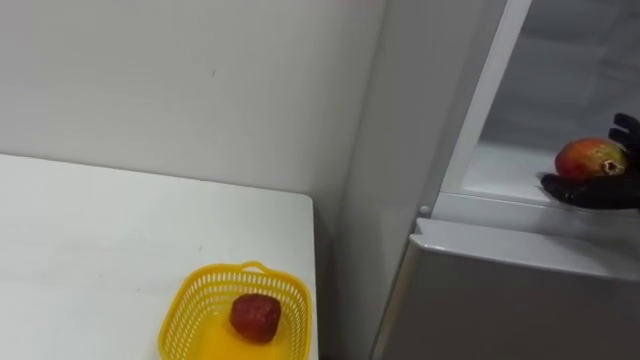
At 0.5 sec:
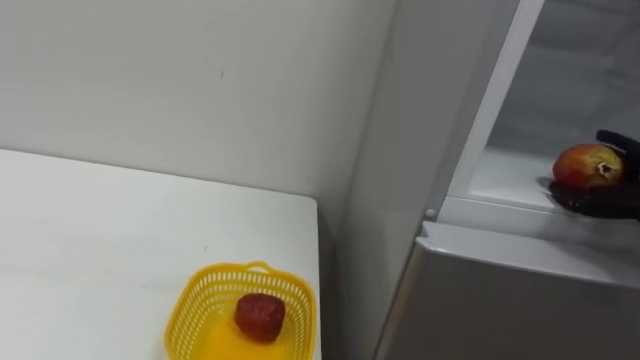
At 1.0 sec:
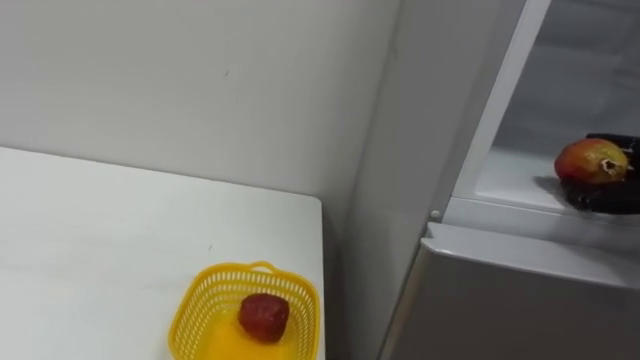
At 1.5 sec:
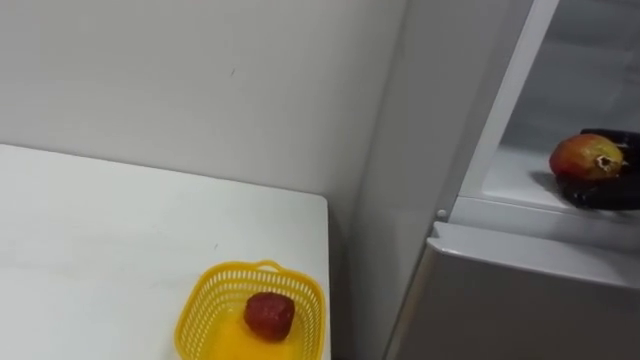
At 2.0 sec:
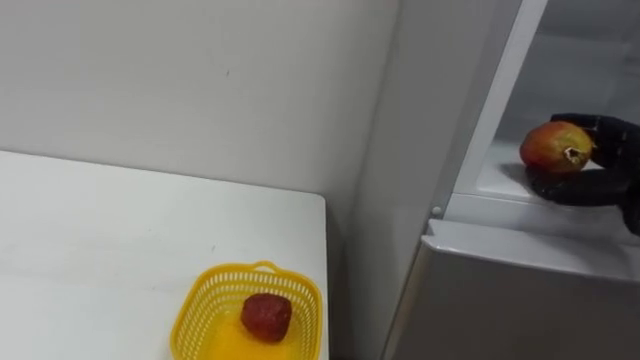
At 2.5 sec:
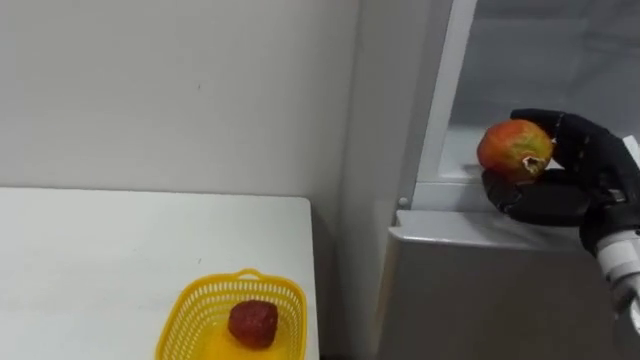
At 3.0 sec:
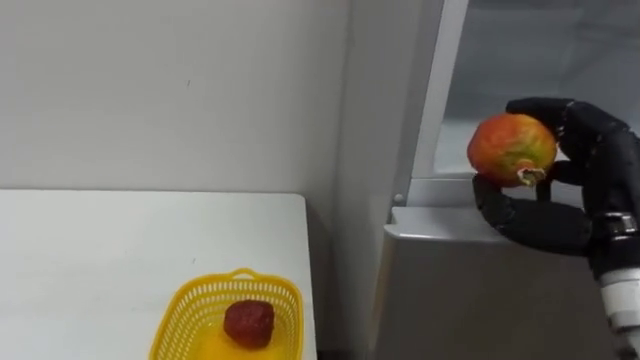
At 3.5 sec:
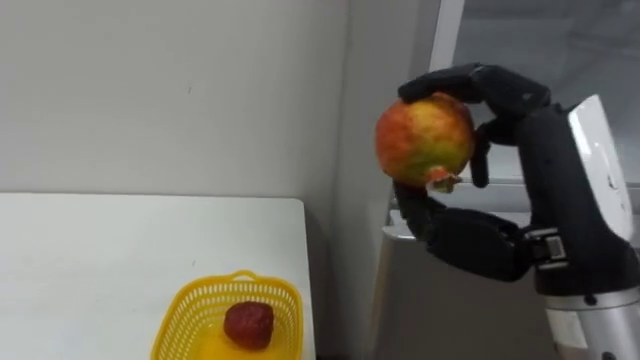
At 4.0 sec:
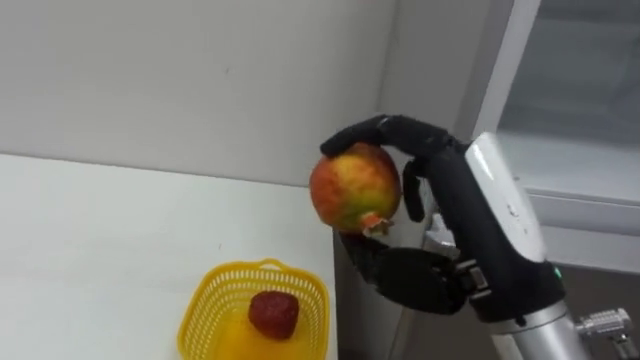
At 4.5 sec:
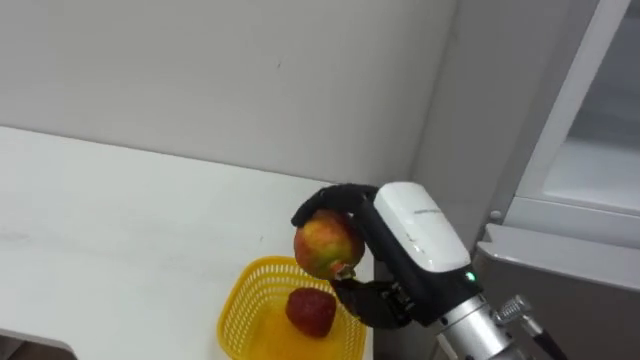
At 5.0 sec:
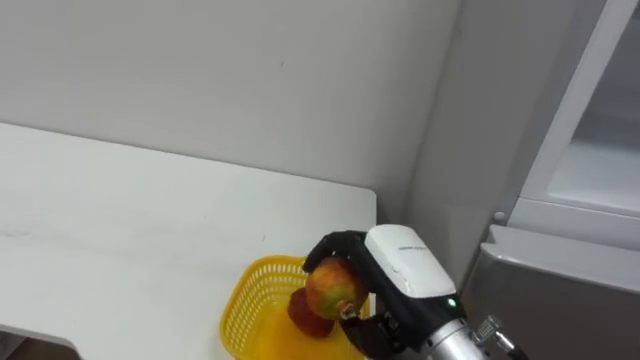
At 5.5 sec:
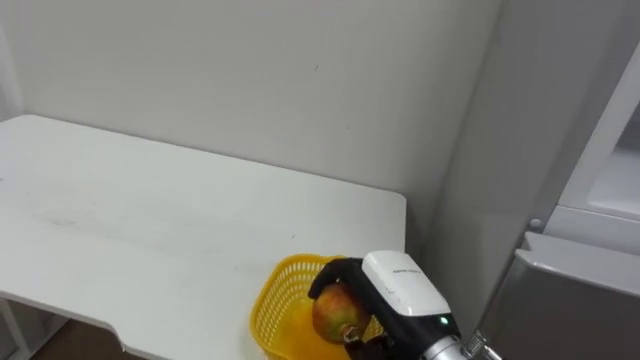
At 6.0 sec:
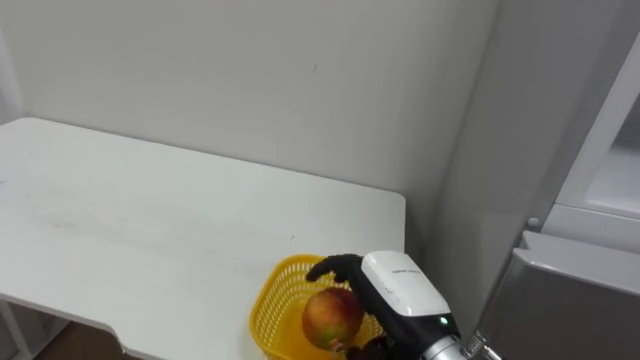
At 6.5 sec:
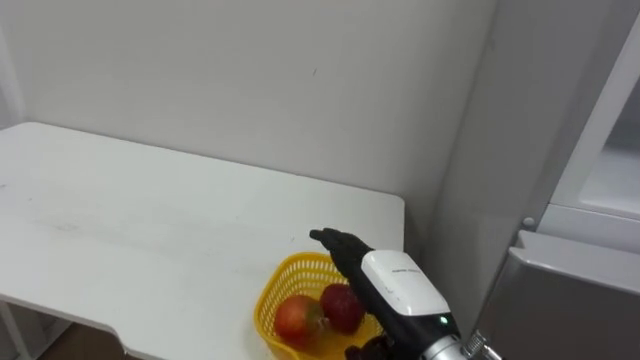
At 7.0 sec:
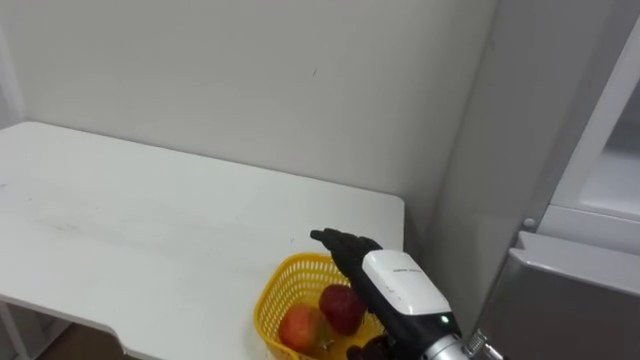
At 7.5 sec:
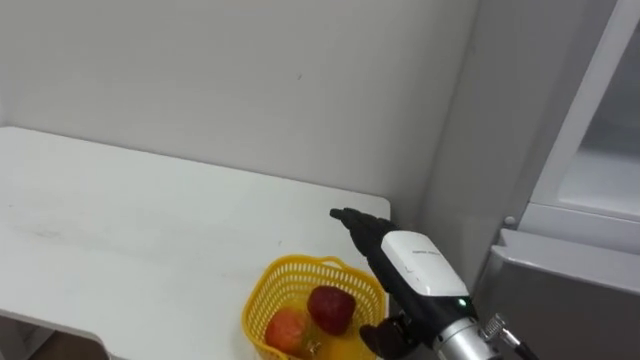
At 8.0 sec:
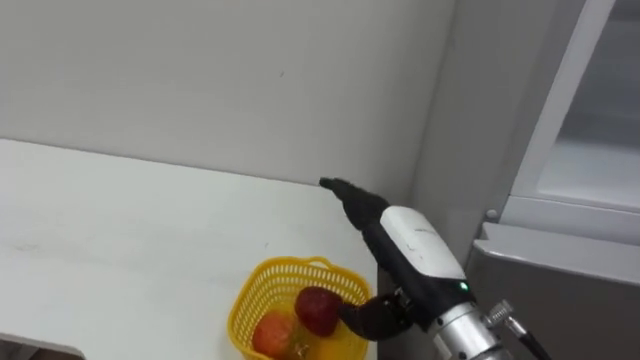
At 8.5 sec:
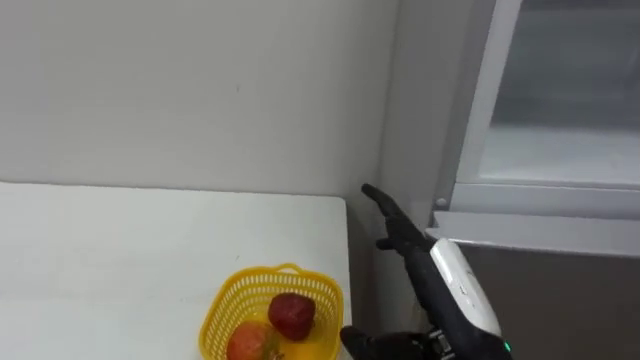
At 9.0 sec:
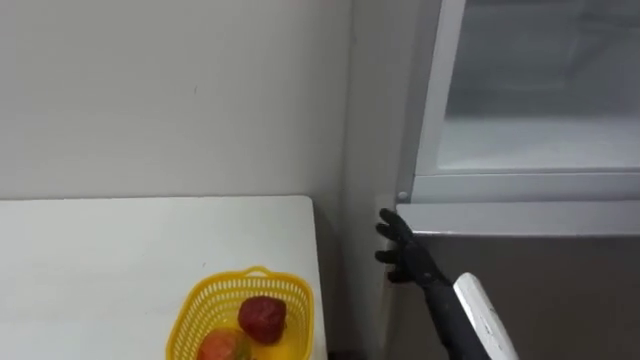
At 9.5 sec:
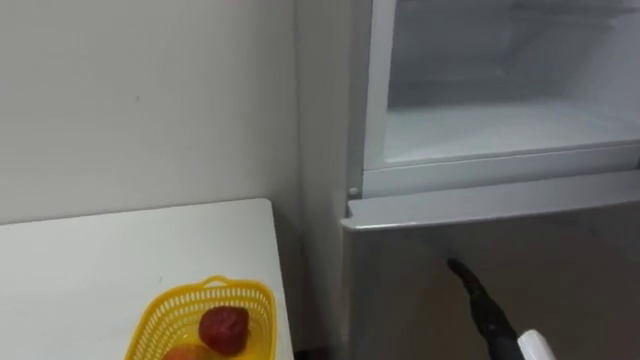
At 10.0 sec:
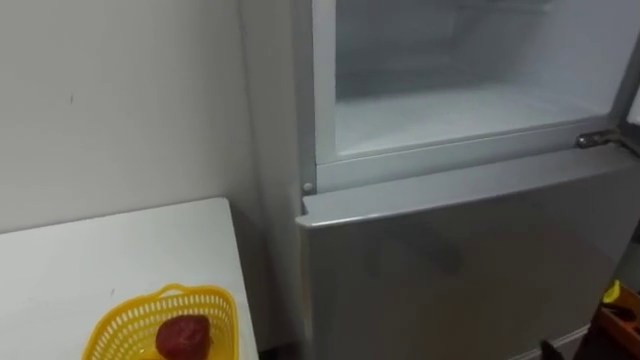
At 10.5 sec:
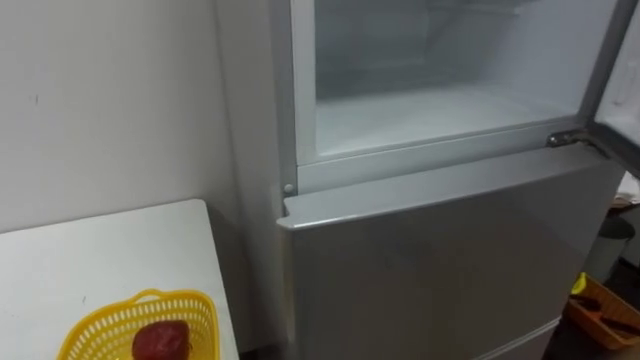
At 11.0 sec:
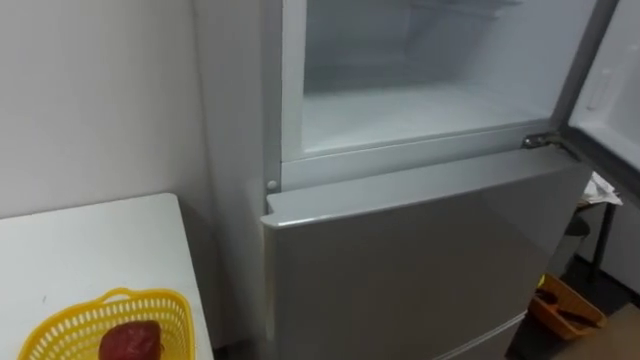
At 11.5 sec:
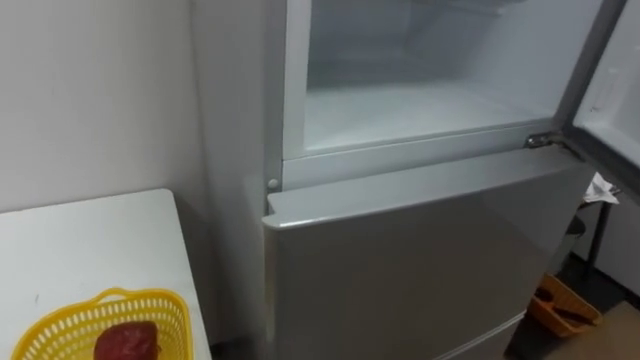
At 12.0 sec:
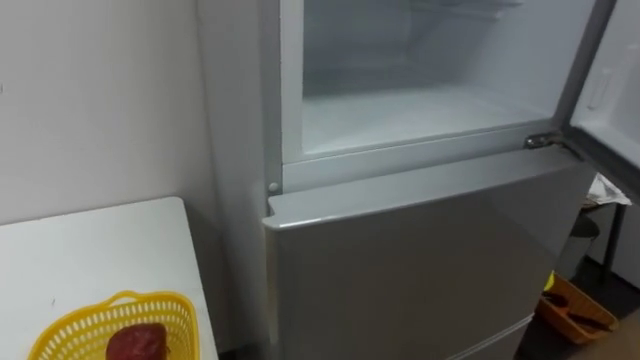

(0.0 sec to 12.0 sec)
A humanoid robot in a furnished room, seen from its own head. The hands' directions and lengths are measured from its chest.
Task of the whole recording: Open the refrigerator door, take out the apple and the pomegranate, place them in the fruit basket on the left, and close the refrigerator door.
2.0 sec - 4.0 sec: The right hand is displaced to the left and backward by about 25 cm.
4.0 sec - 6.0 sec: The right hand heads downward and forward, covering some 15 cm.
6.0 sec - 8.0 sec: The right hand opens up.

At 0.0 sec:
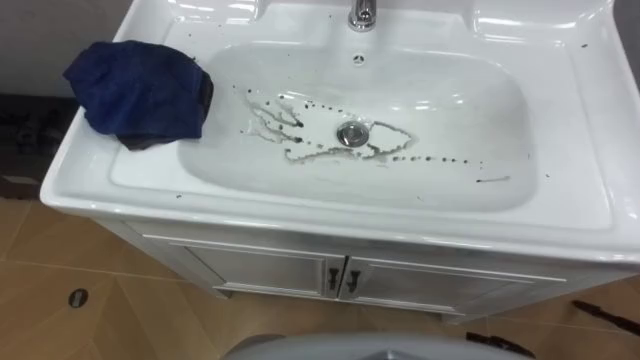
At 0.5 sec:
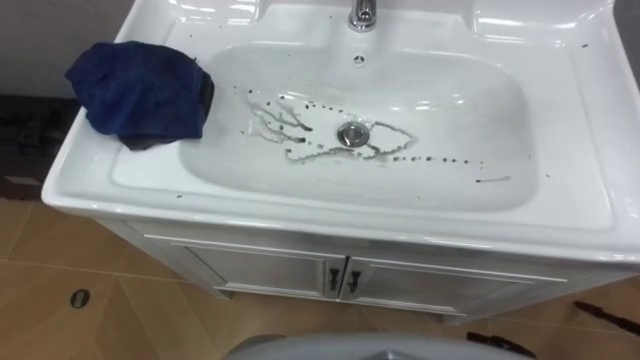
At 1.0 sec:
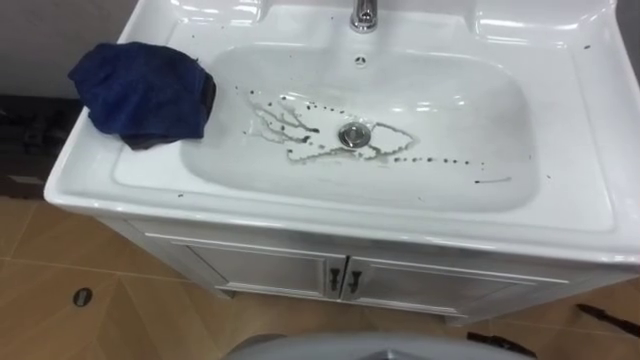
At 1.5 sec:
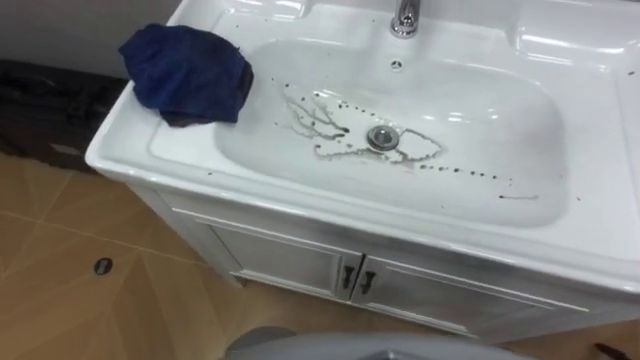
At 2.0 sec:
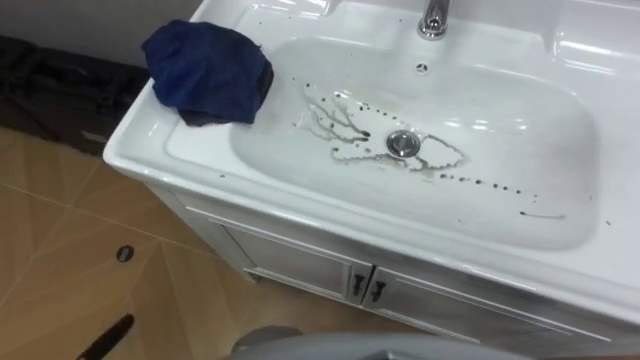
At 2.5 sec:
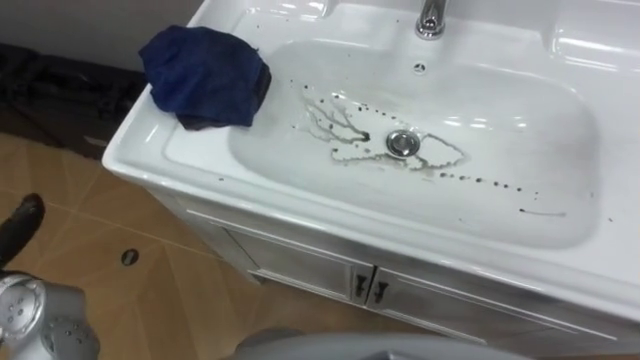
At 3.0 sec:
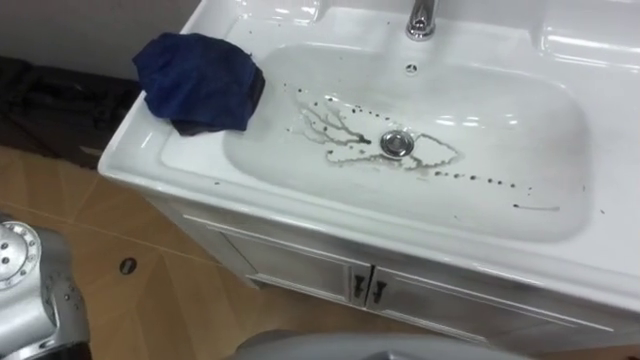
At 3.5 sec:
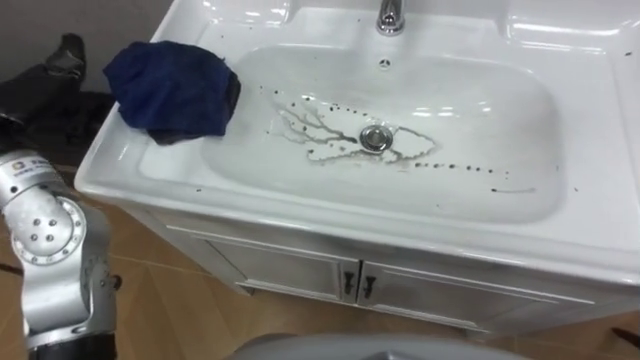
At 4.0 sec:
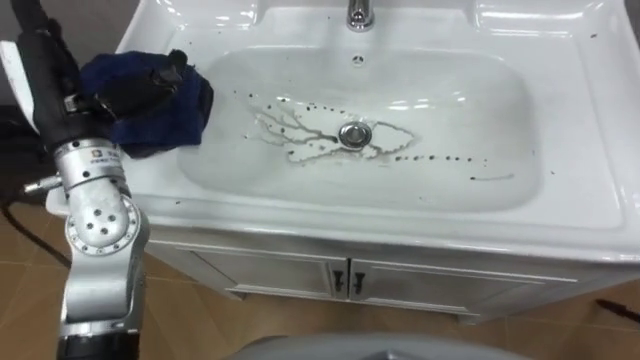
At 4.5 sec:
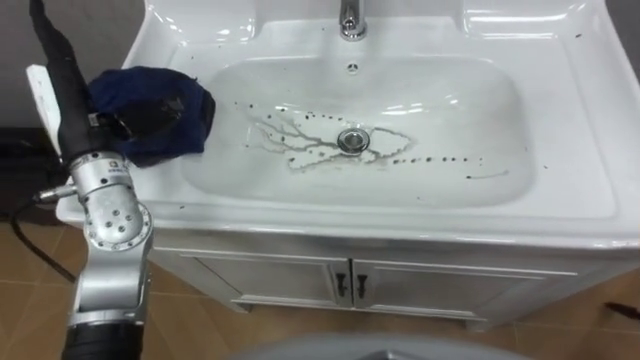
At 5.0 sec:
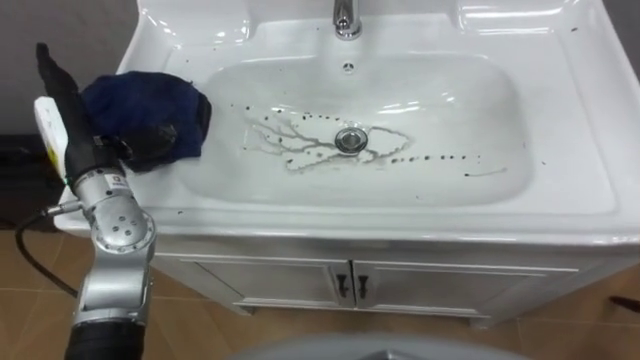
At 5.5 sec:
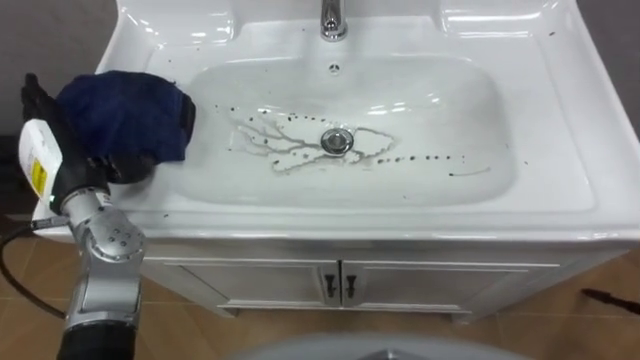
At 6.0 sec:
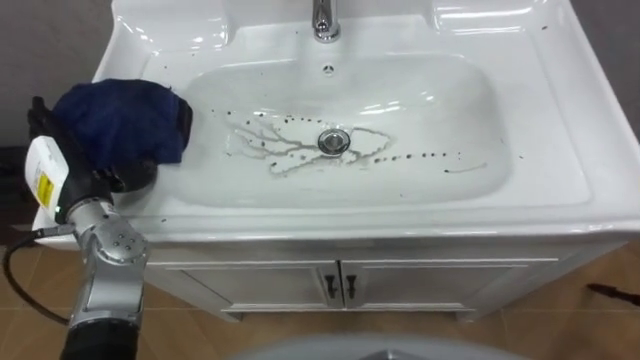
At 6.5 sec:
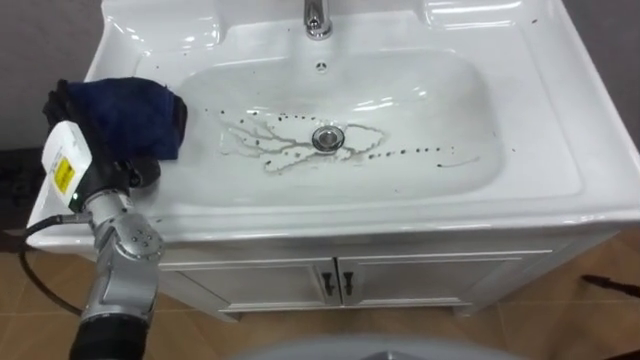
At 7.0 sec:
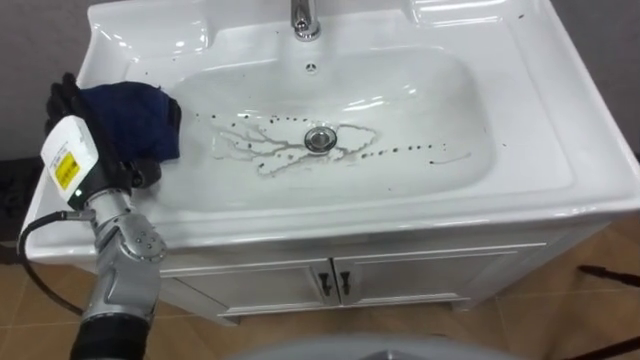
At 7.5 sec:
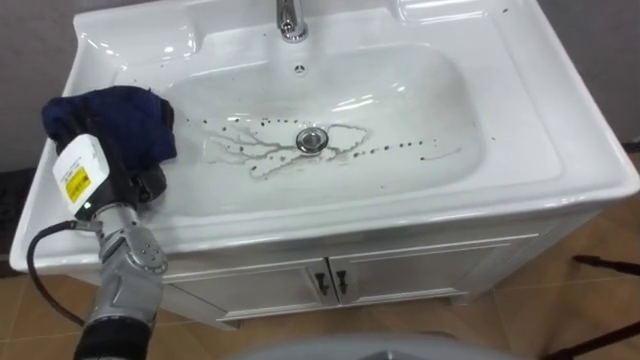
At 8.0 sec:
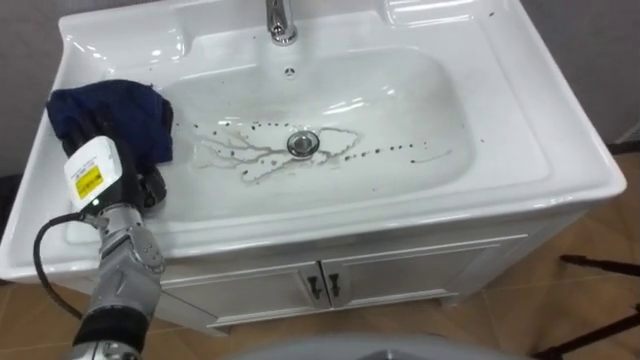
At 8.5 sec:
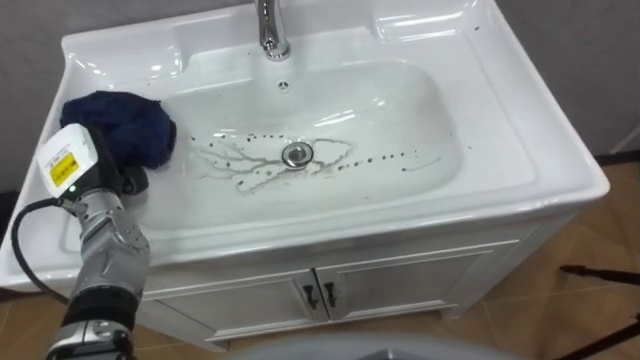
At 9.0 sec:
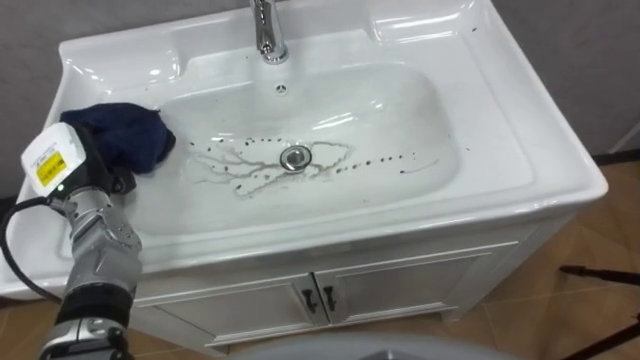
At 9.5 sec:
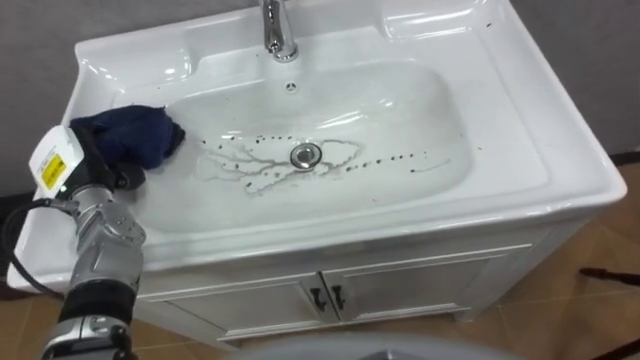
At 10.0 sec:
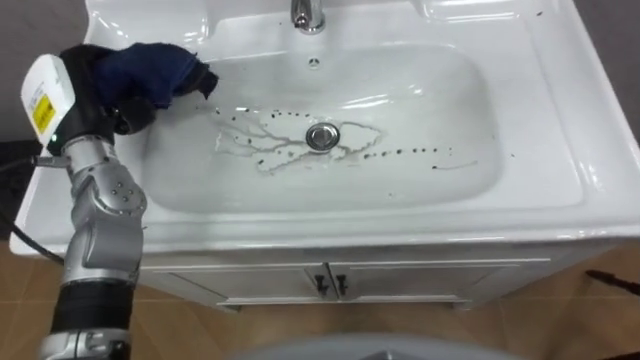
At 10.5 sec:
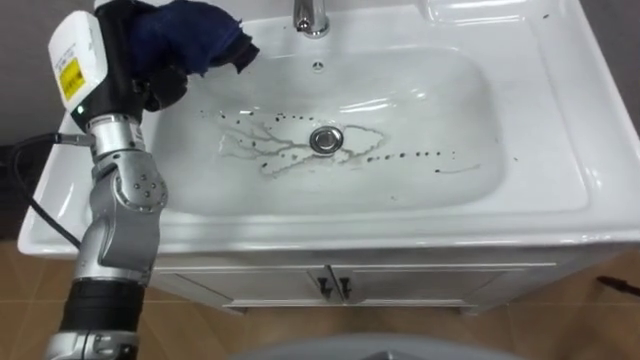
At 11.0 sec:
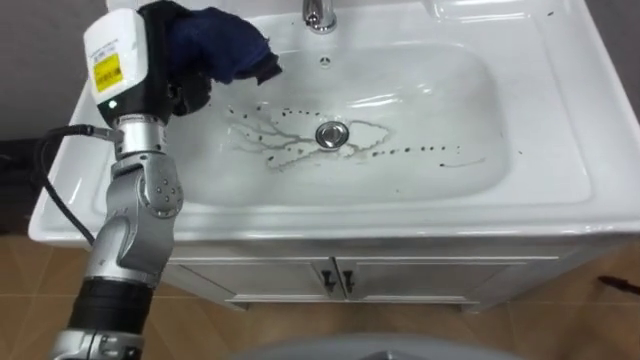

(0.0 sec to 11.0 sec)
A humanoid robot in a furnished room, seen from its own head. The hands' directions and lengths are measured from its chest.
Task of the whole recording: Use the cloth on the right to wipe away the black stain in the sink.
7.5 sec - 9.0 sec: The left hand closes.
9.0 sec - 11.0 sec: The left hand goes approximately 20 cm upward, to the right and forward.
